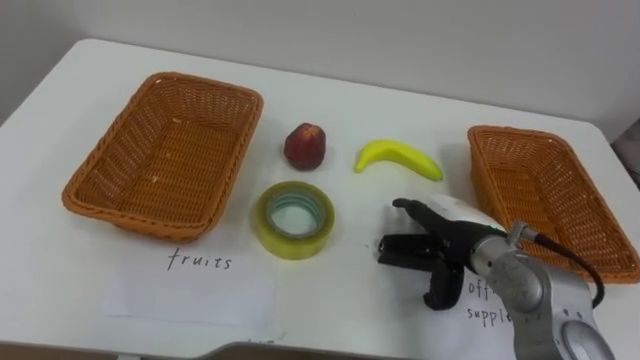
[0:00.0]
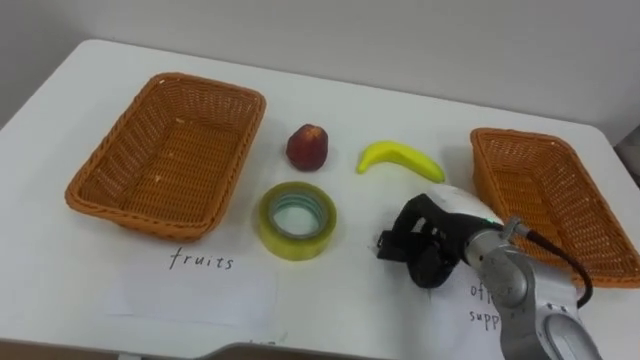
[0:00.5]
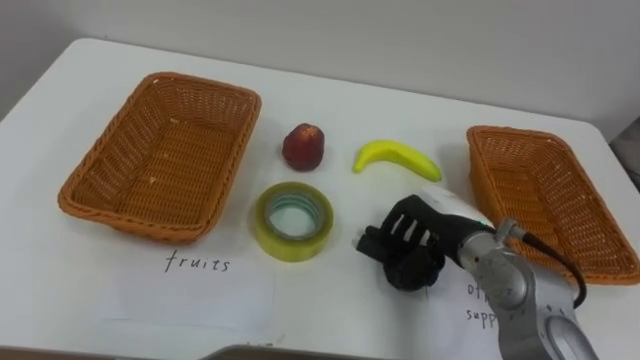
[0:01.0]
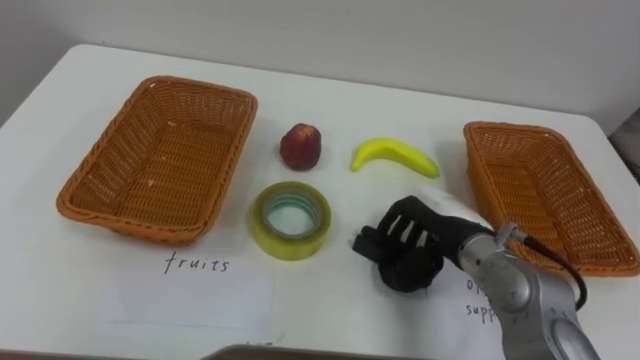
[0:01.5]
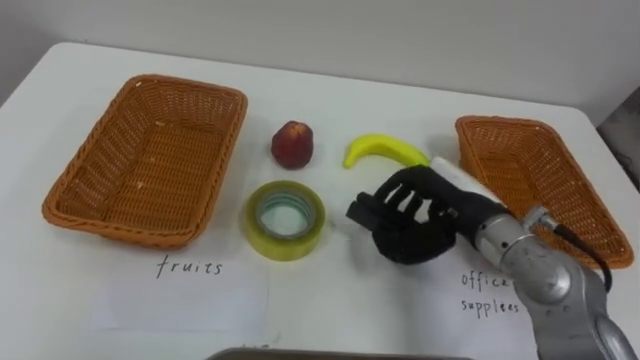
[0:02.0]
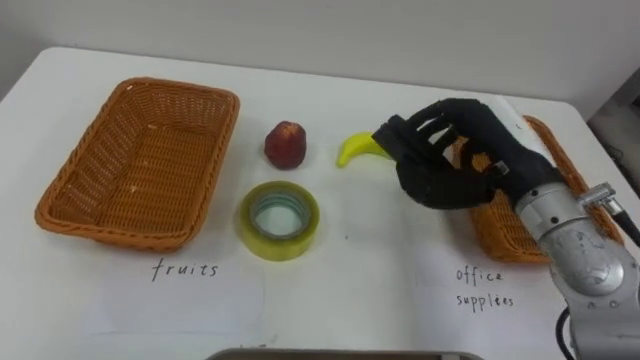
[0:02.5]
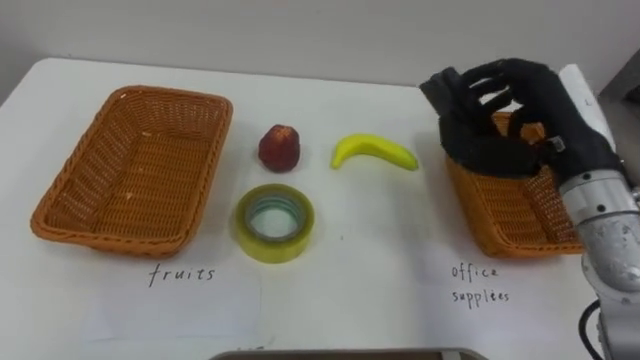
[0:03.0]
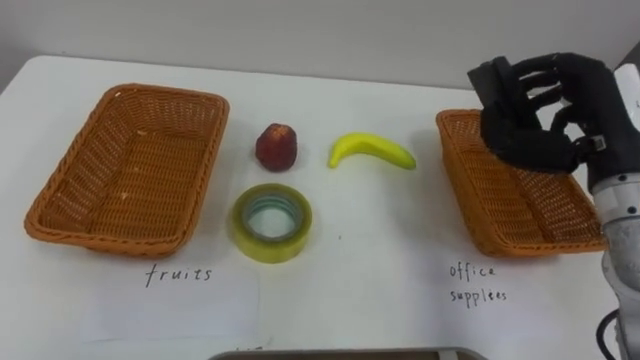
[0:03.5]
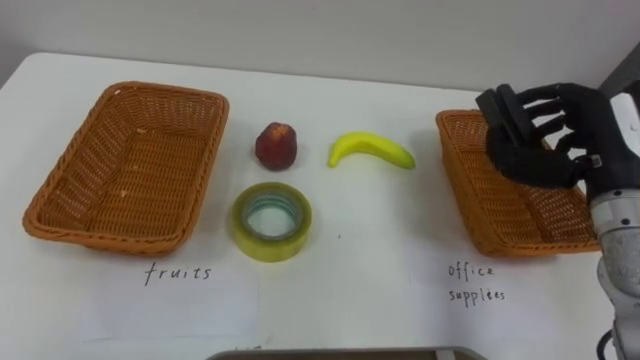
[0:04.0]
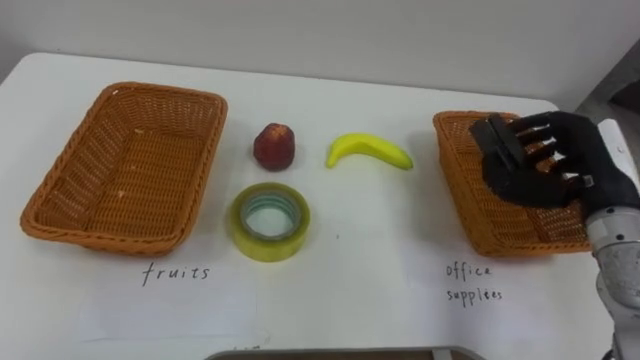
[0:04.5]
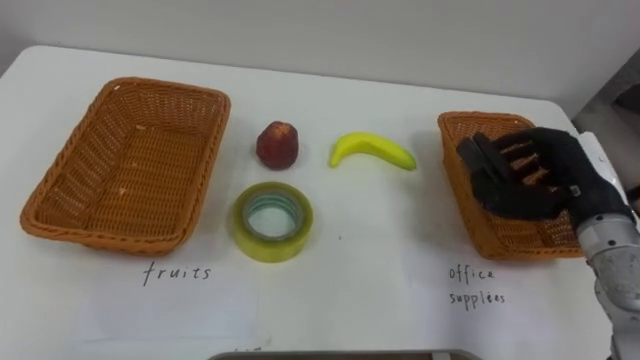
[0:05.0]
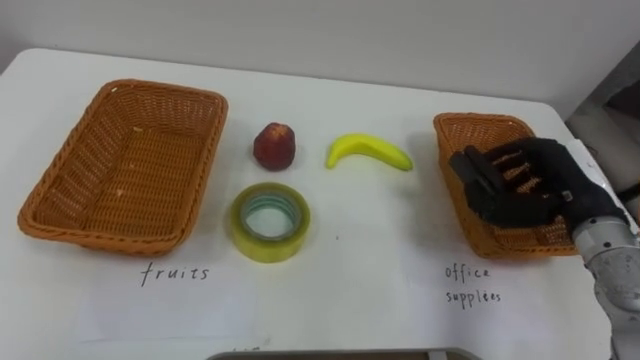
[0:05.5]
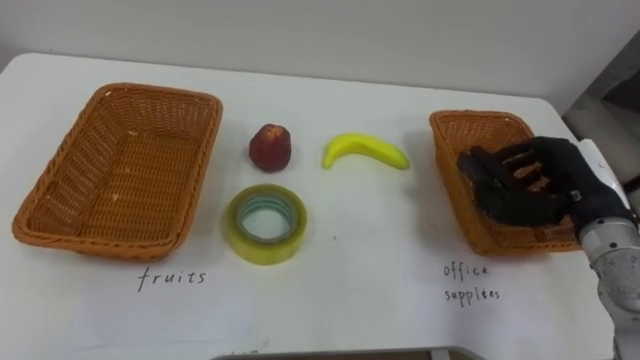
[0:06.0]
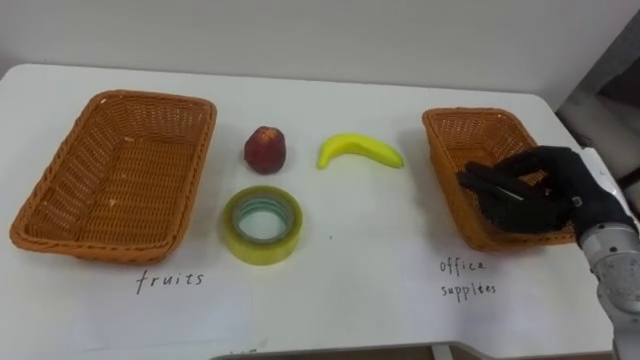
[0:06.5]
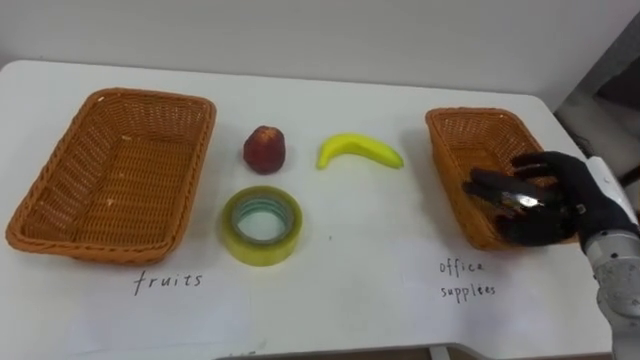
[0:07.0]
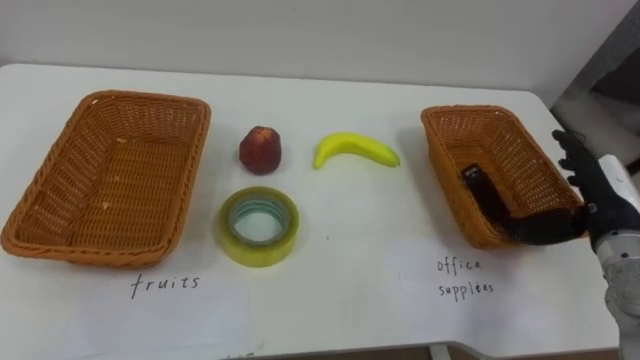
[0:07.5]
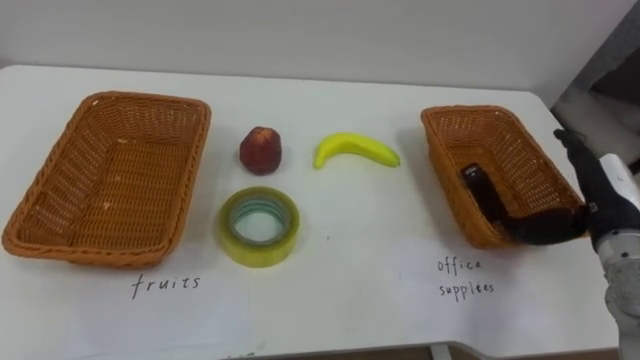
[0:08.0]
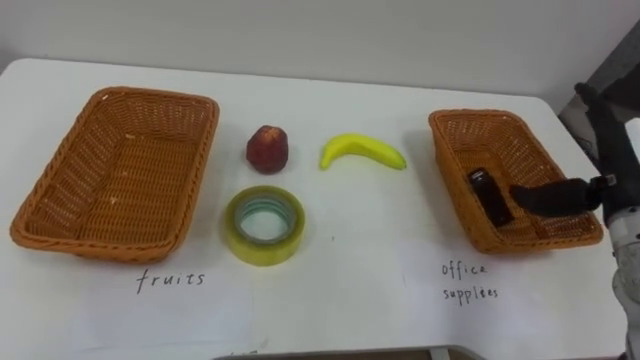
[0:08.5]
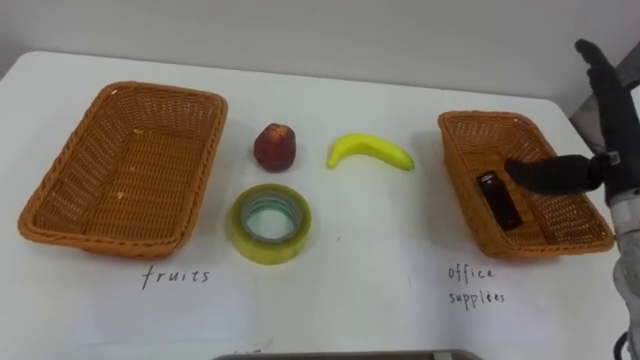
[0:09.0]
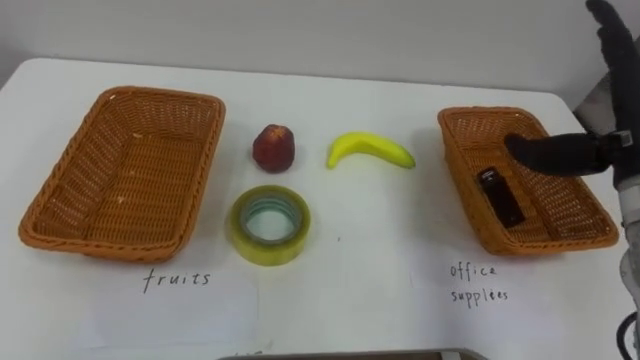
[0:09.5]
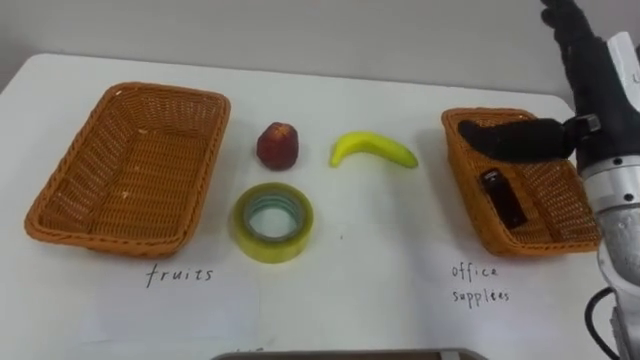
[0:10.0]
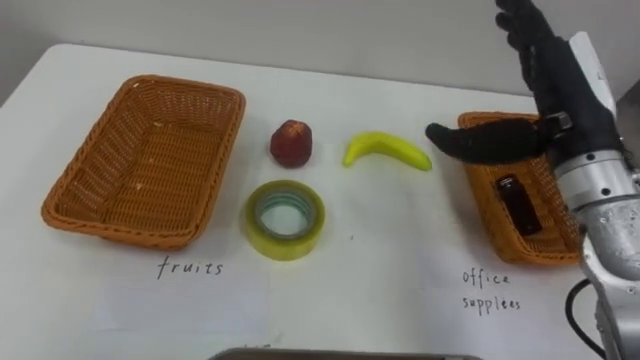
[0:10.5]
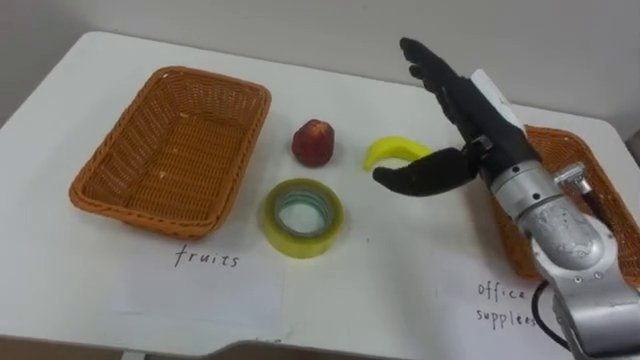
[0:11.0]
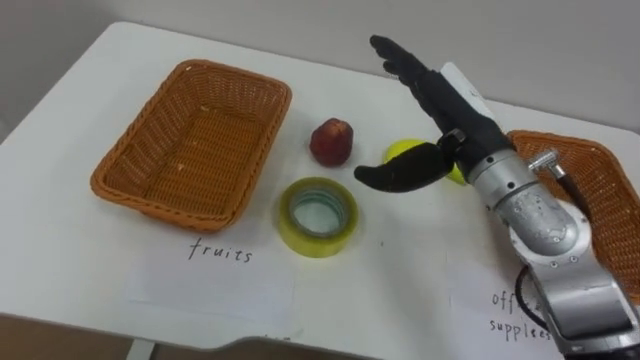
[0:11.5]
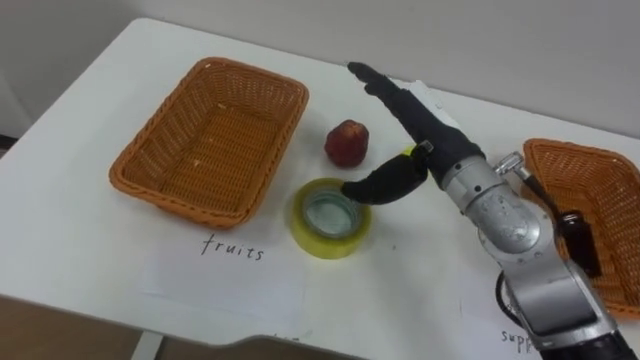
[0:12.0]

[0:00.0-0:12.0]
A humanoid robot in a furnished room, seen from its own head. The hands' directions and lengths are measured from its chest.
Task of the whole recording: Separate the items on the table and place them into the two baskets.
0:00.0 to 0:02.0: The right hand closes.
0:02.0 to 0:04.0: The right hand travels to the right and upward by some 15 cm.
0:04.0 to 0:06.0: The right hand heads downward, covering some 5 cm.
0:06.0 to 0:08.0: The right hand opens.
0:08.0 to 0:10.0: The right hand shifts some 15 cm upward and to the left.
0:10.0 to 0:12.0: The right hand shifts roughly 15 cm to the left and downward.

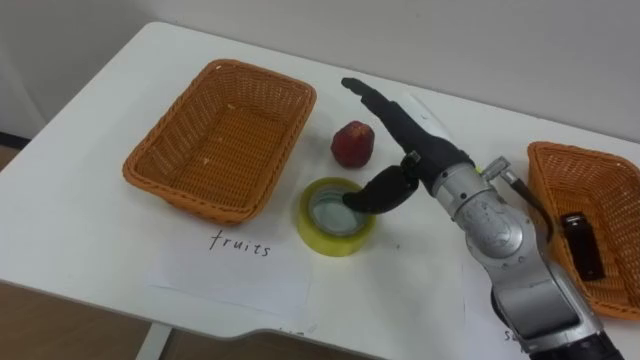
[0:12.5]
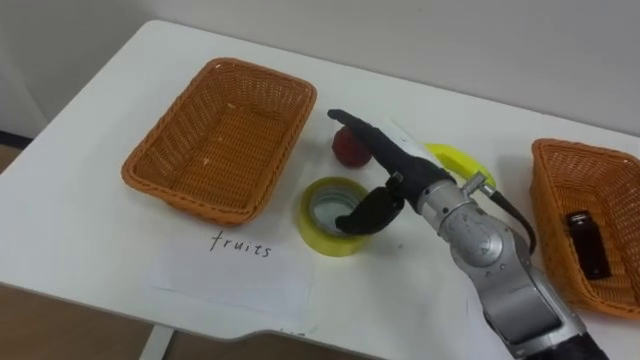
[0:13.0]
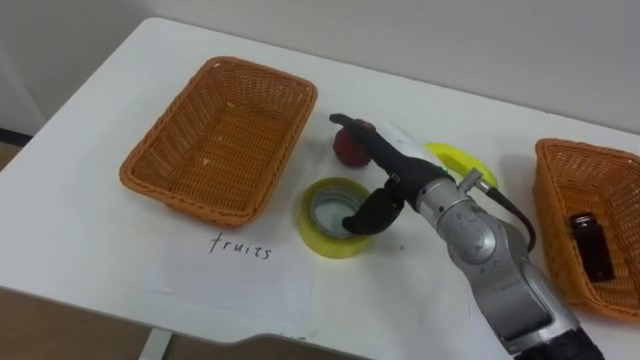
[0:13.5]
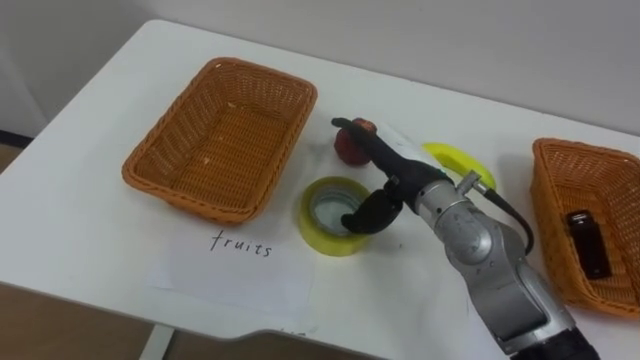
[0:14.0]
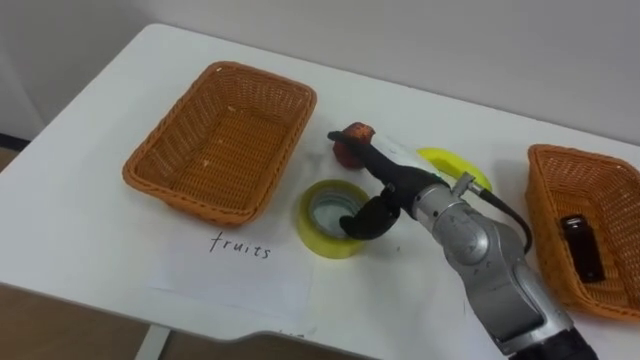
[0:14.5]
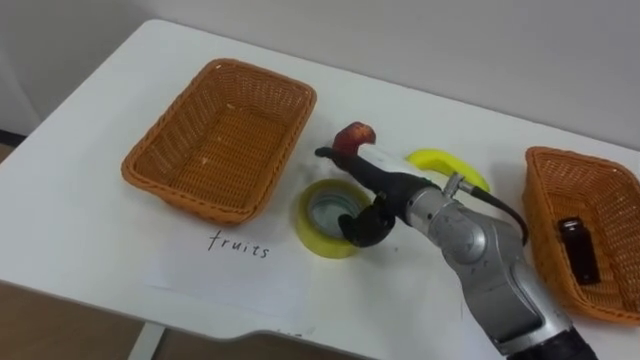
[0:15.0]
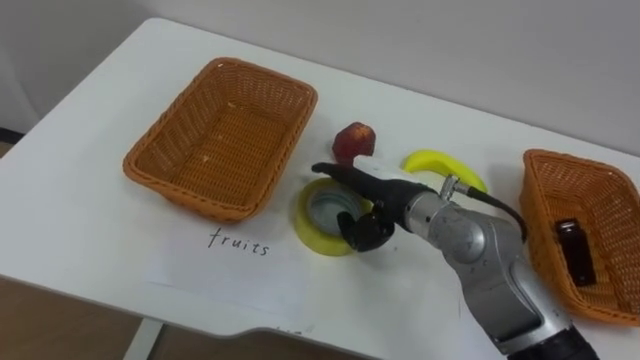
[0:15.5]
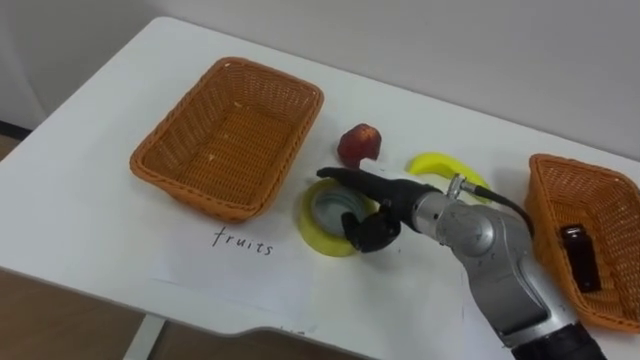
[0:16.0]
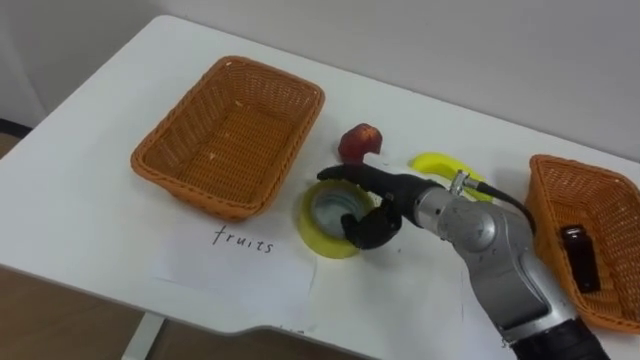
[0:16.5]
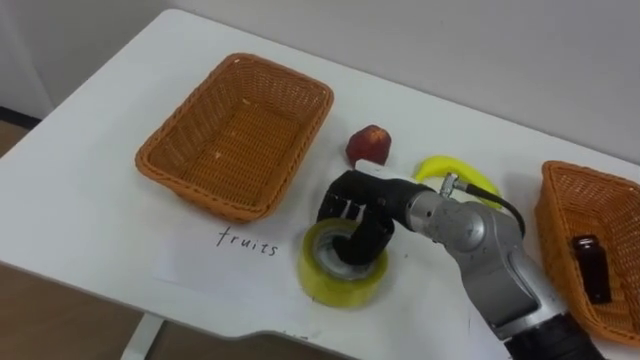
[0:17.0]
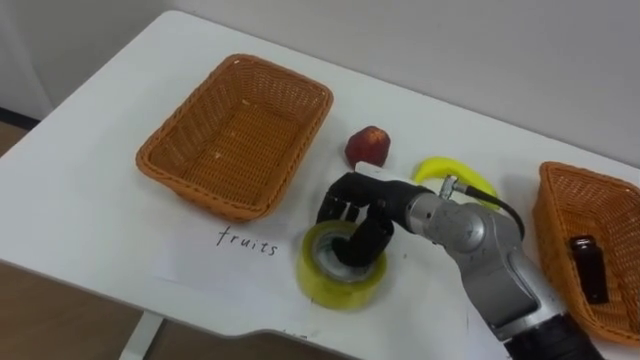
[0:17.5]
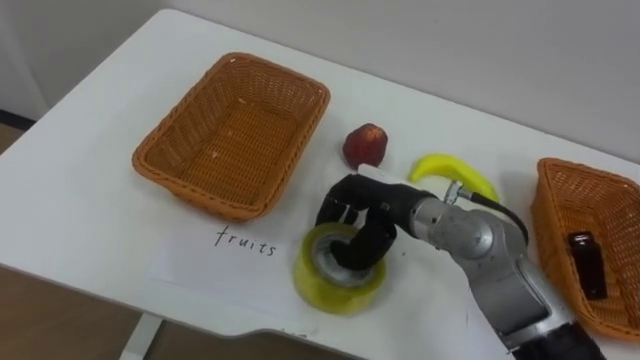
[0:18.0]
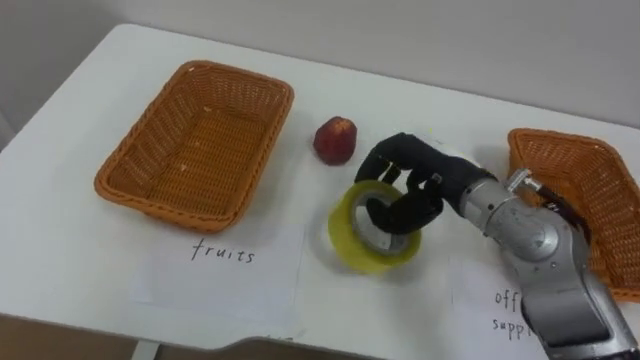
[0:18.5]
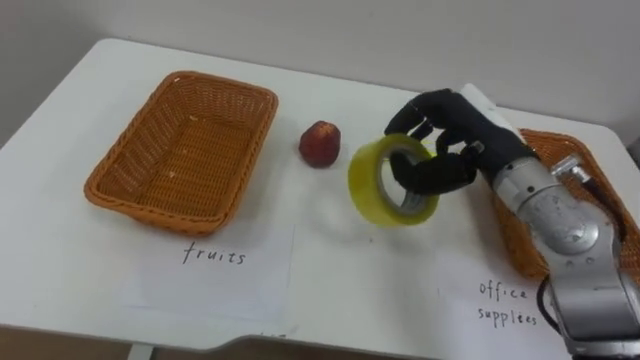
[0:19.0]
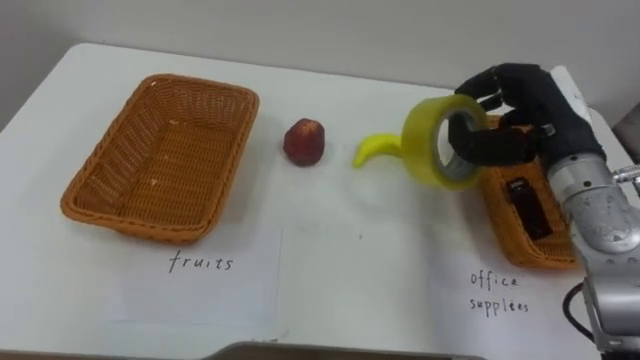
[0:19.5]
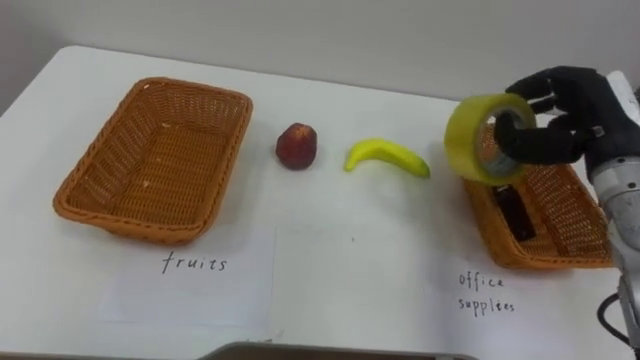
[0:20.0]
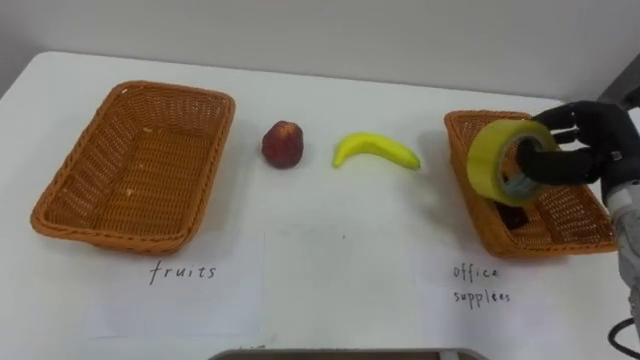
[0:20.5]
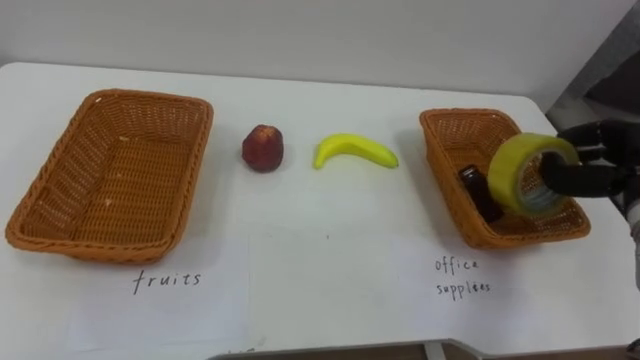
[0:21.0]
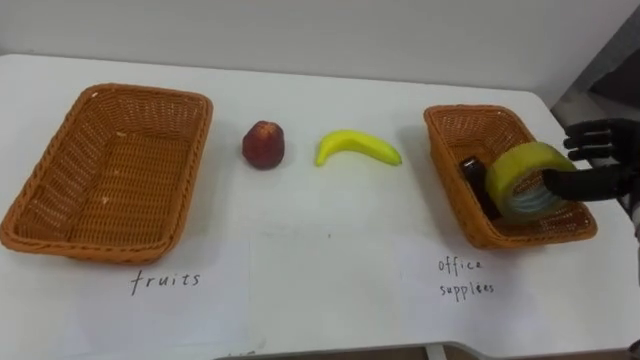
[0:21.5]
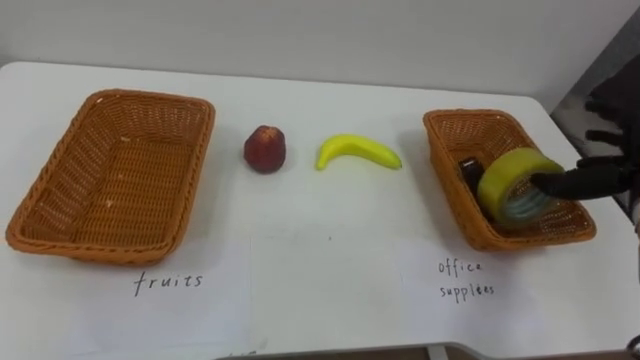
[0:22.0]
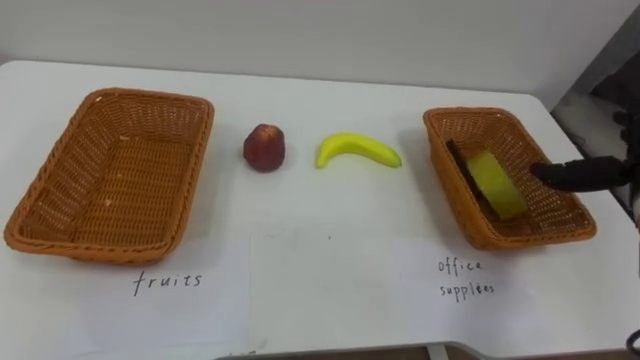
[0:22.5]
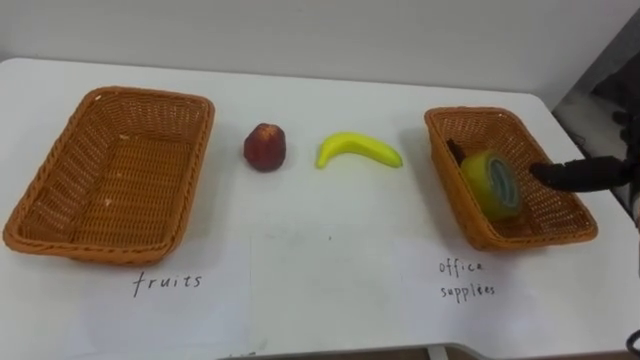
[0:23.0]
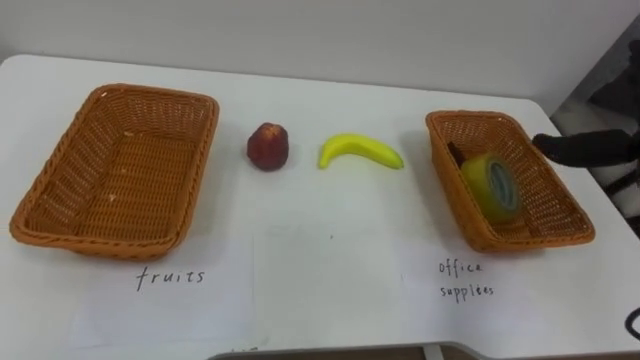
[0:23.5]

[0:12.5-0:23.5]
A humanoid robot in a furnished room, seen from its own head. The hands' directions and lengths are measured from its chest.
Task of the whole recording: Separate the items on the table and place them into the two baskets.
0:12.5 to 0:14.5: The right hand changes place by about 5 cm.
0:16.0 to 0:18.0: The right hand closes.
0:18.0 to 0:20.0: The right hand travels to the right and upward by about 25 cm.
